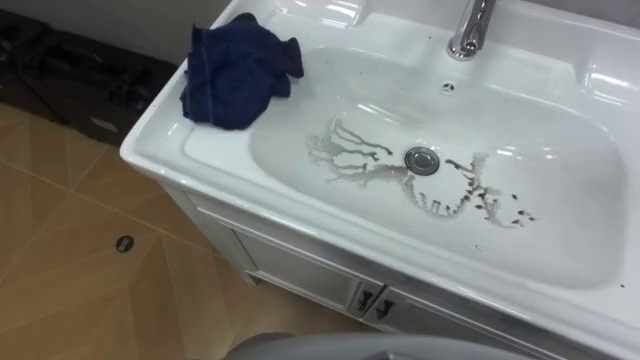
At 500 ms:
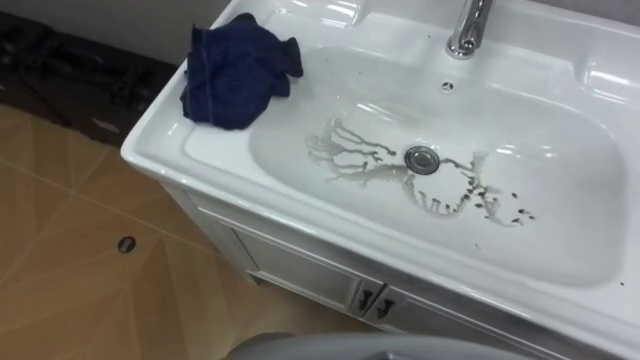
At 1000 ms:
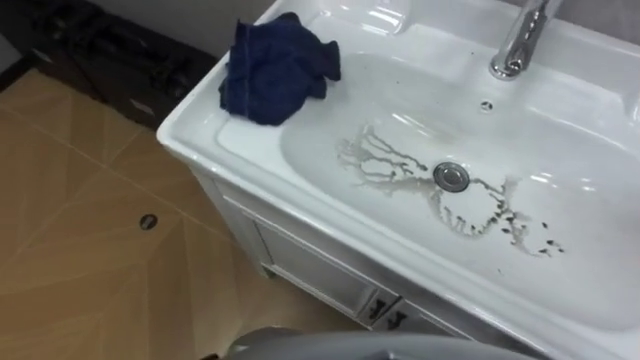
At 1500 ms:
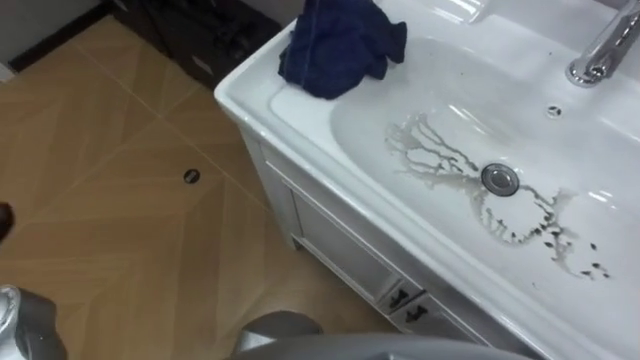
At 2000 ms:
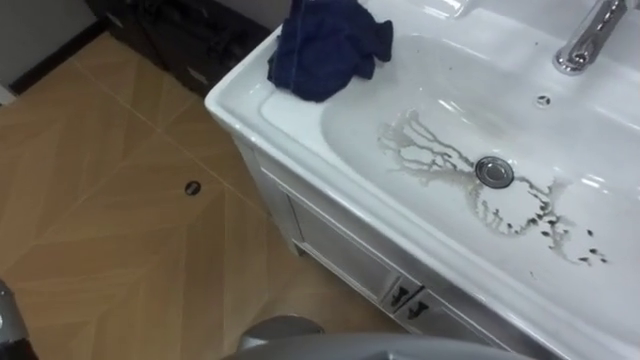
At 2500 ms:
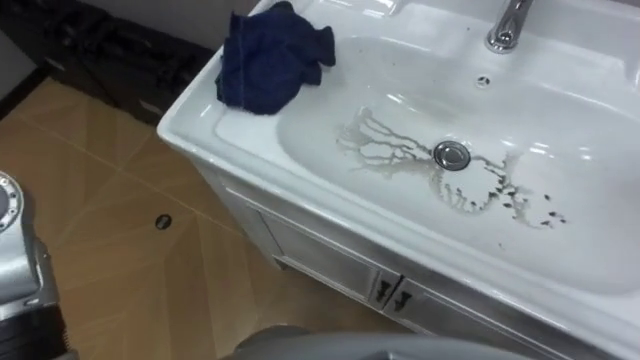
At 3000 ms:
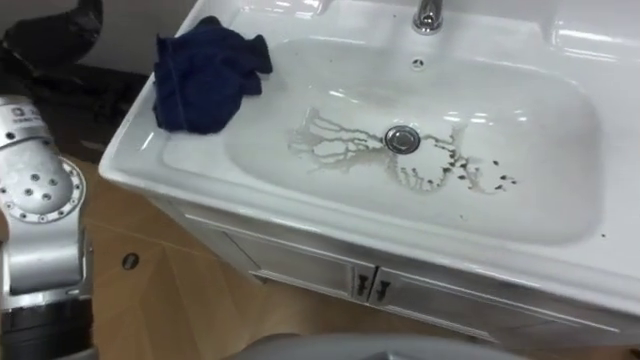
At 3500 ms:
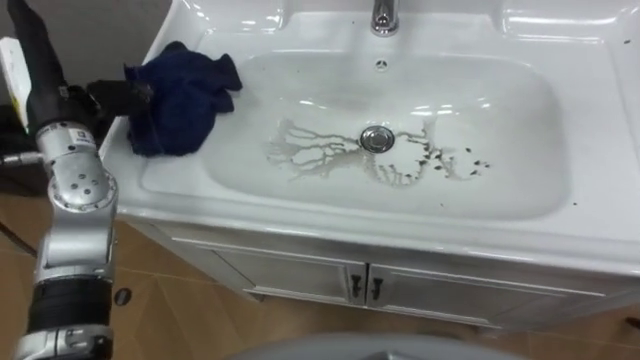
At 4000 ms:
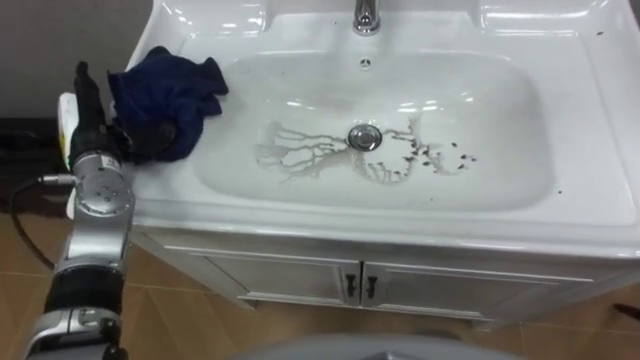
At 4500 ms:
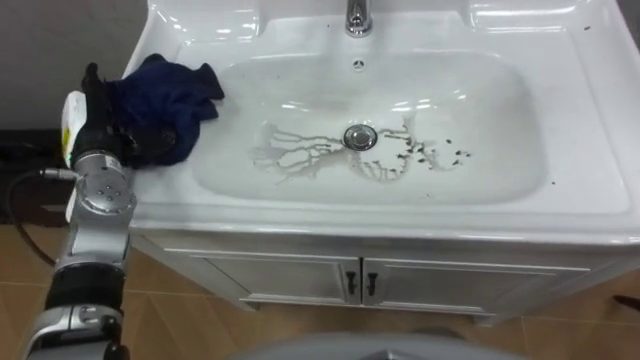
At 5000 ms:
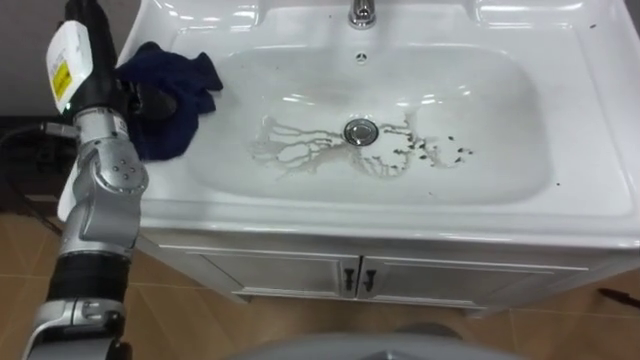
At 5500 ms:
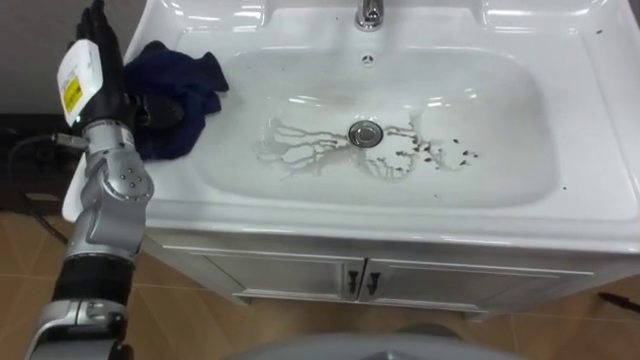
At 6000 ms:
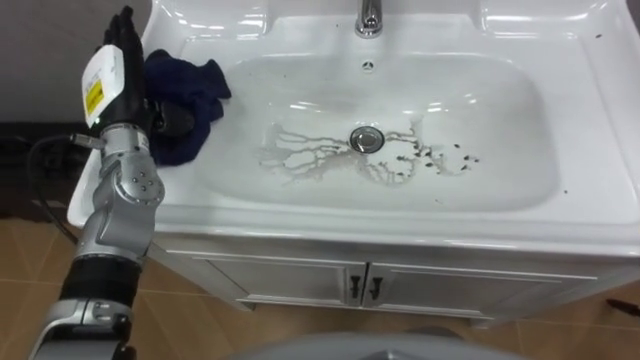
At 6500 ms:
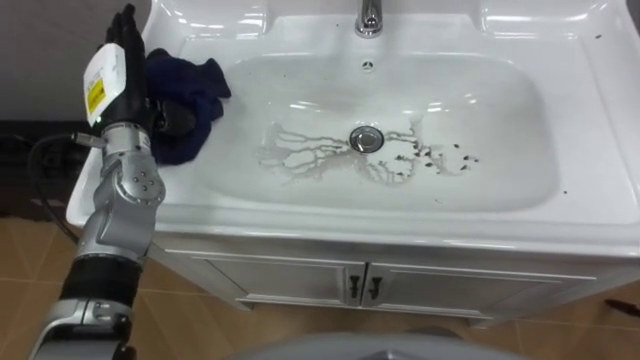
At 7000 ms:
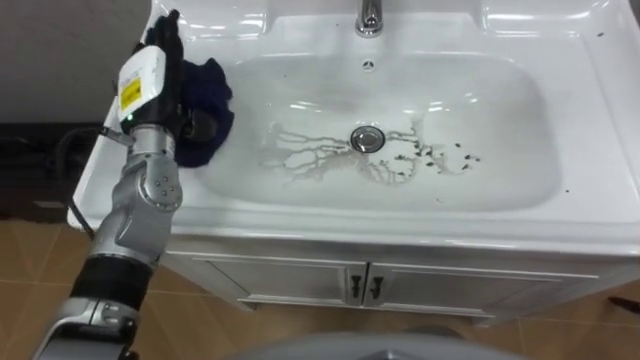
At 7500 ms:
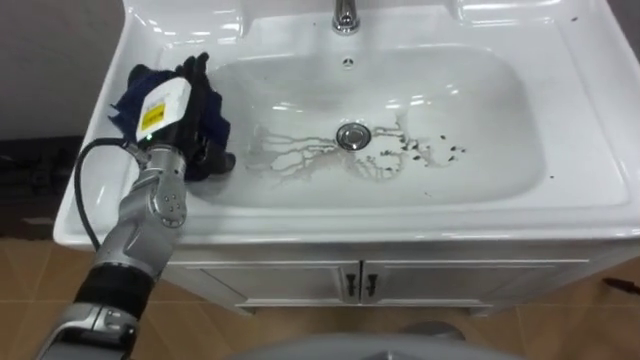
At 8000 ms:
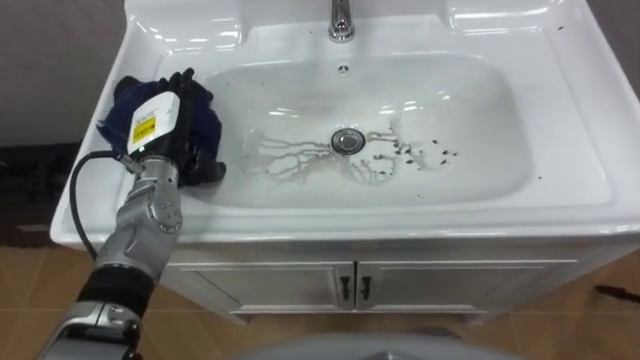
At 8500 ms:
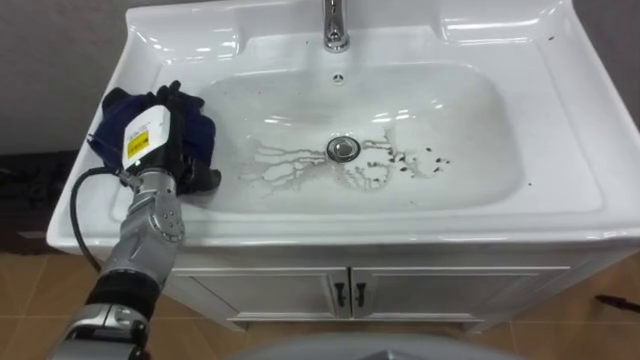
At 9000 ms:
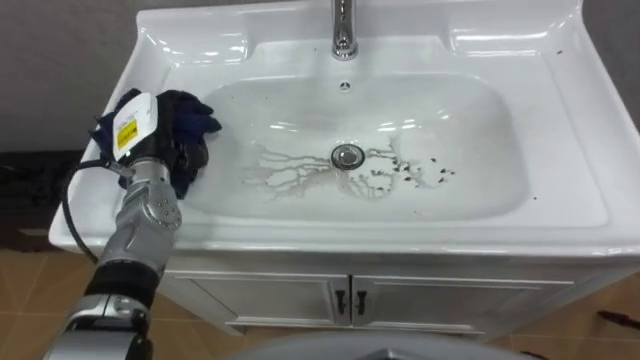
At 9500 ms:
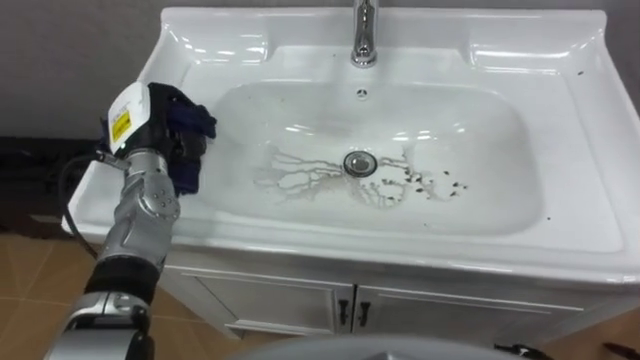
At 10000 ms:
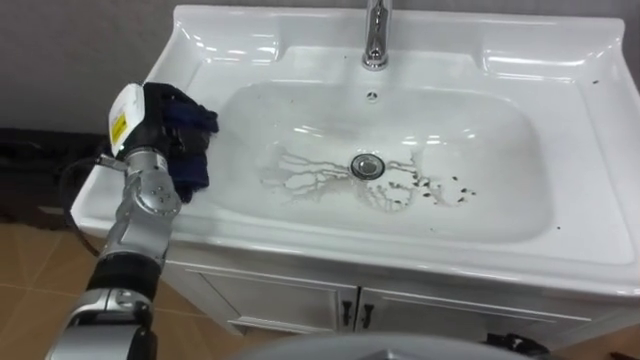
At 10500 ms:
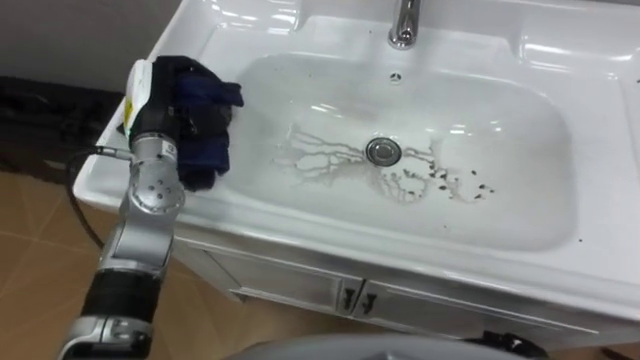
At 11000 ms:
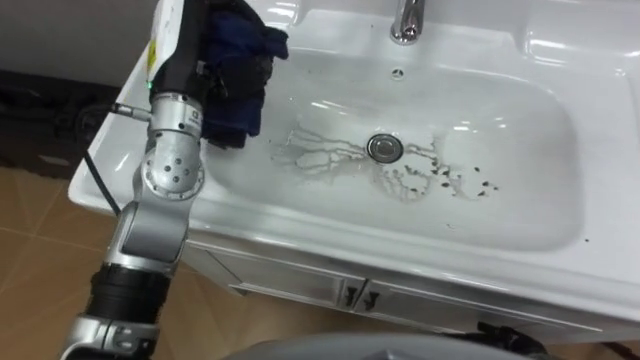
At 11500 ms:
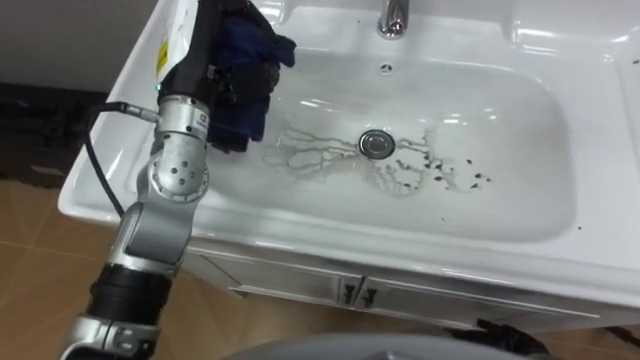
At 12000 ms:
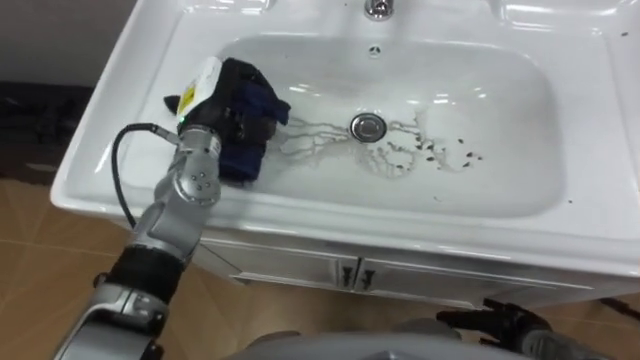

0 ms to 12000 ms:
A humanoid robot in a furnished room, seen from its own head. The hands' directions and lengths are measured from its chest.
Task of the whole recording: Use the cloth on the right to wipe away the black stain in the sink.
4000 ms to 6000 ms: The left hand is displaced to the right by about 5 cm.
6000 ms to 8000 ms: The left hand moves downward, approximately 5 cm.
8000 ms to 10000 ms: The left hand closes.
10000 ms to 12000 ms: The left hand is displaced to the right by about 10 cm, and goes upward and returns, about 15 cm each way.

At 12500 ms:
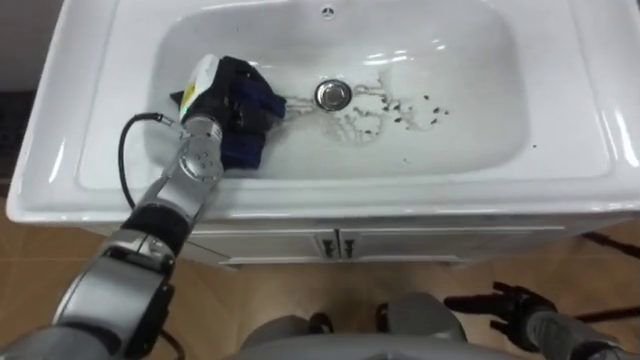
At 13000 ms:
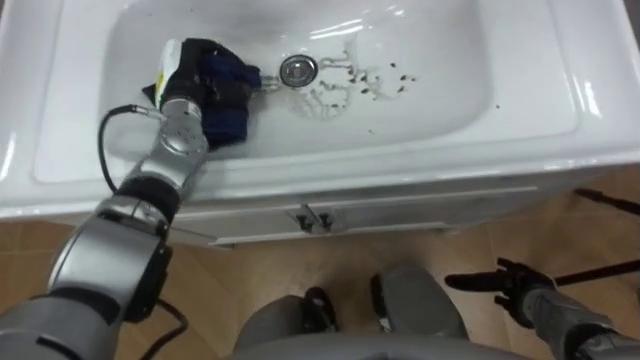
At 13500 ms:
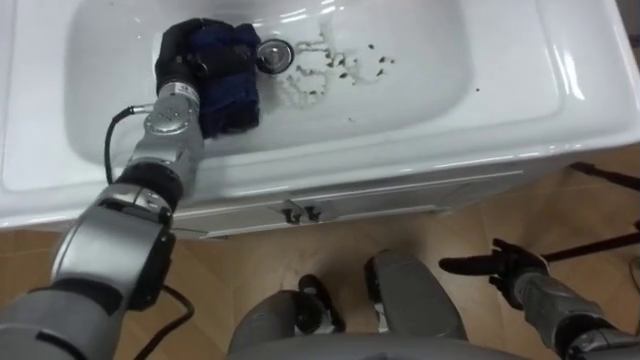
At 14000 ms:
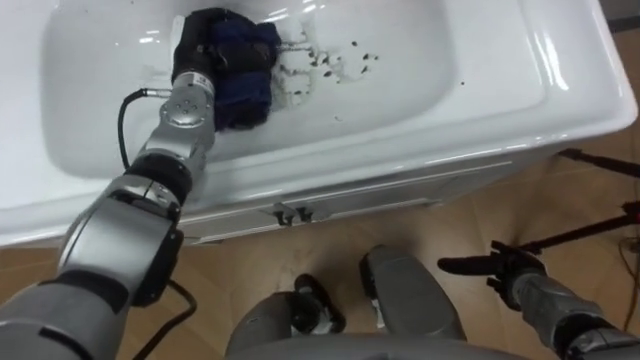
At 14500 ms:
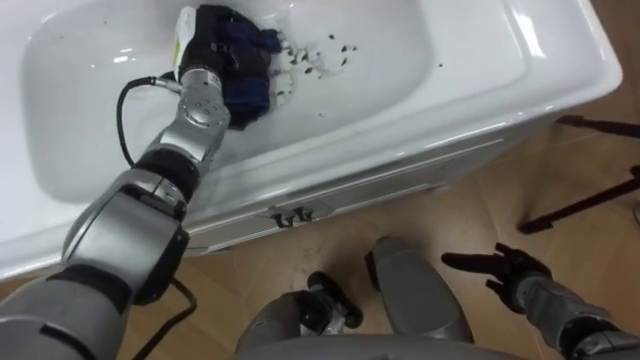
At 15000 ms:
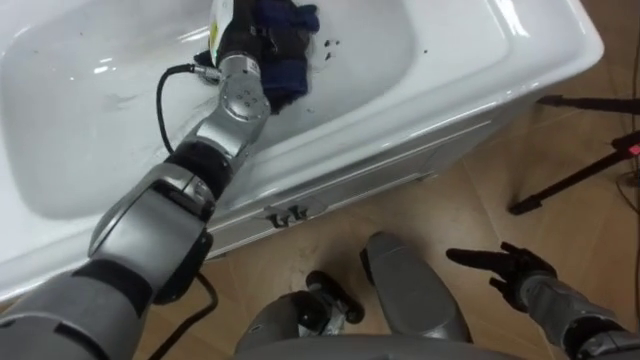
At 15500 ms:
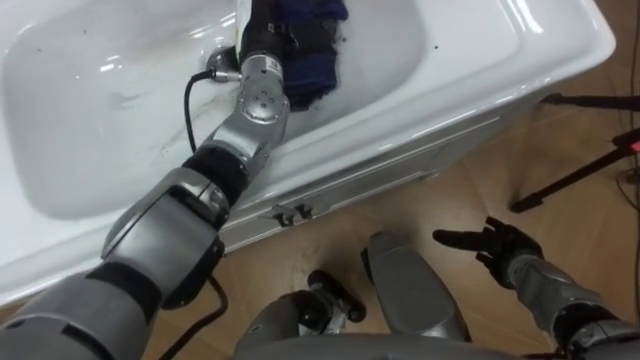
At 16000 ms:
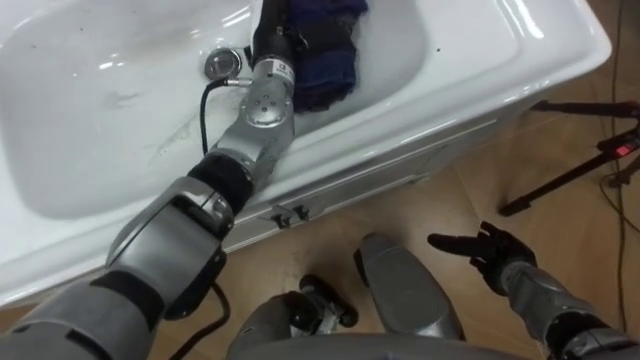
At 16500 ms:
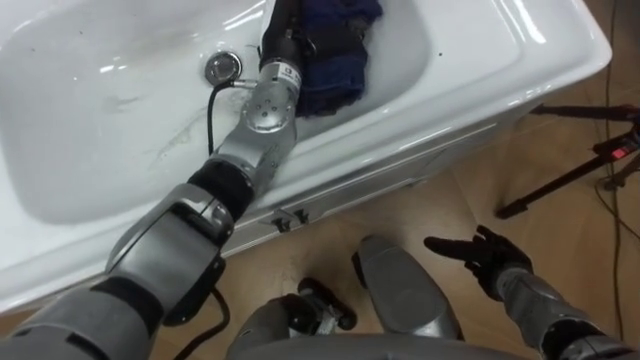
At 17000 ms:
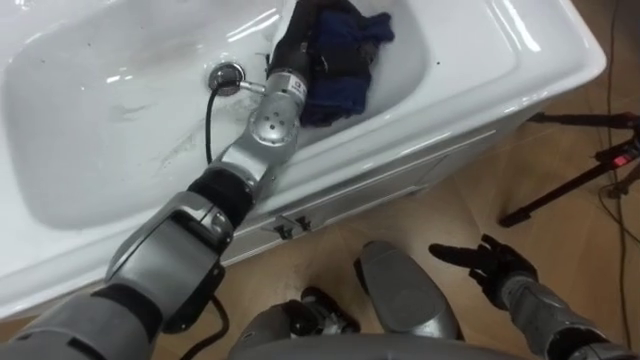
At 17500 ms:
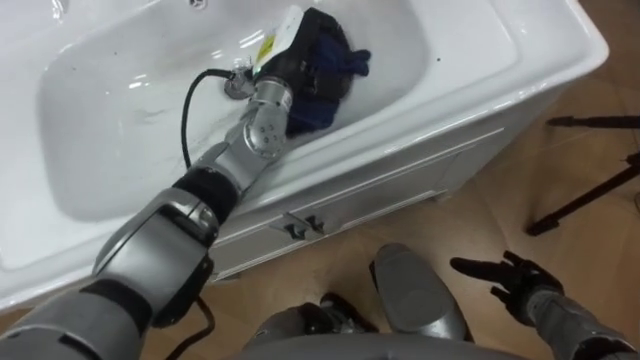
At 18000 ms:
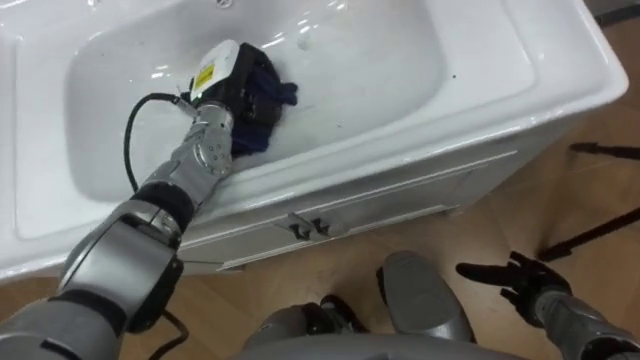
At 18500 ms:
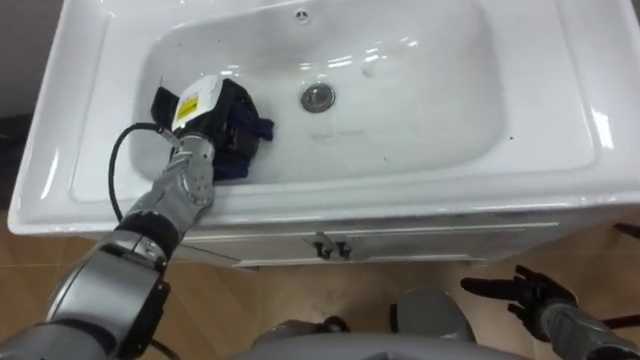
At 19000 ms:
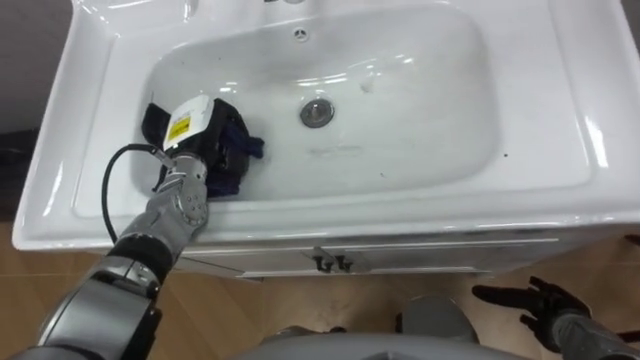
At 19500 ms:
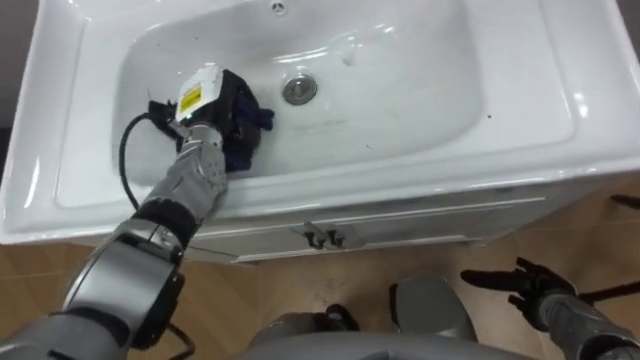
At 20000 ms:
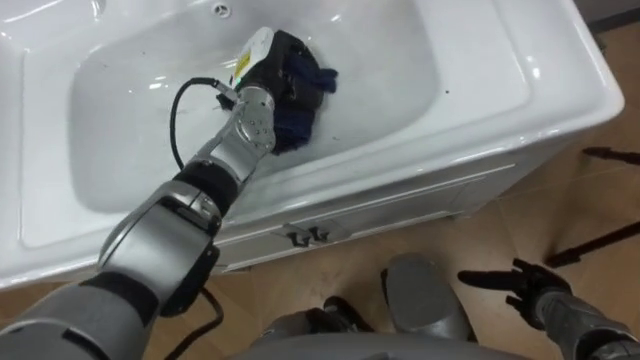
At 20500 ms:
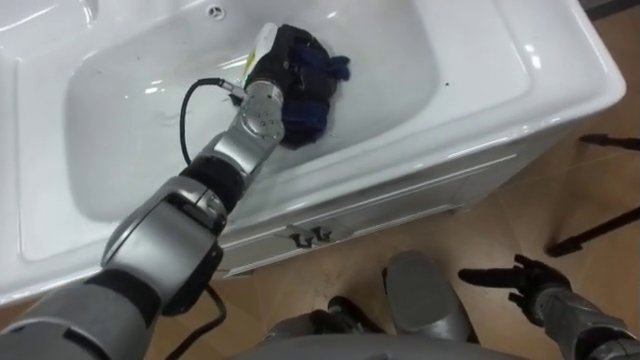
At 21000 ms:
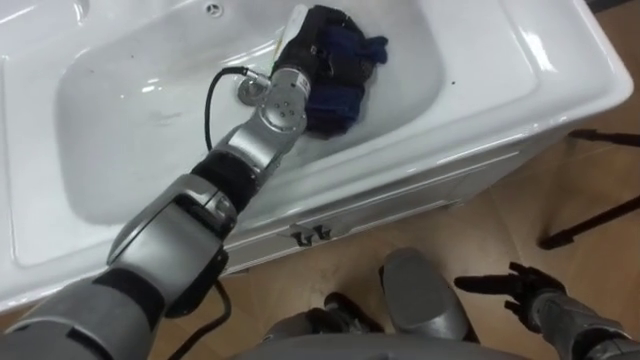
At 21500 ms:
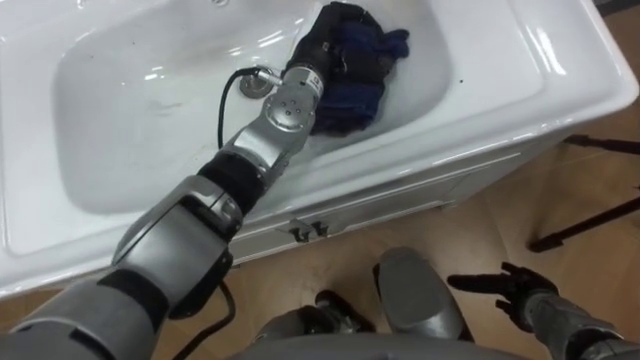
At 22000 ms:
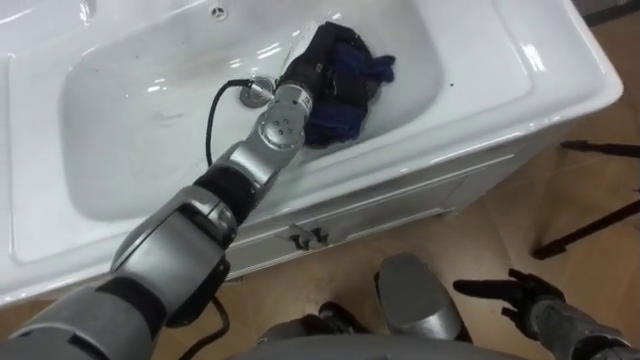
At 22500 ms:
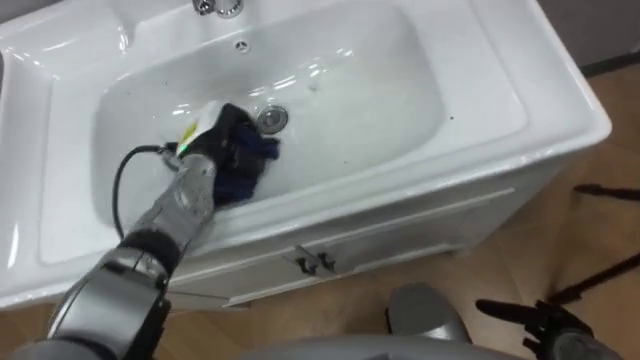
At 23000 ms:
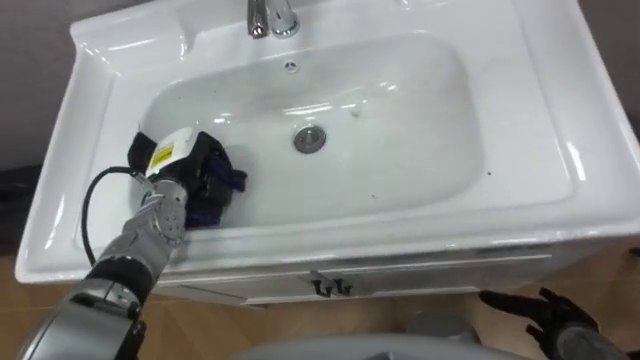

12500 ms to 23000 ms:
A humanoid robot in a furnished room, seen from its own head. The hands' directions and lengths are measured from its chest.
Task of the whole recording: Use the cloth on the right to wipe away the black stain in the sink.
12500 ms to 14500 ms: The left hand moves about 5 cm.
14500 ms to 16500 ms: The left hand travels to the right by some 10 cm.
16500 ms to 19000 ms: The left hand heads to the left, downward and backward, covering some 20 cm. Meanwhile the right hand is displaced backward and to the right by approximately 10 cm.
19000 ms to 21000 ms: The left hand moves to the right, upward and forward, roughly 20 cm.
21000 ms to 23000 ms: The right hand moves approximately 5 cm. The left hand moves to the left, downward and backward, about 25 cm.
